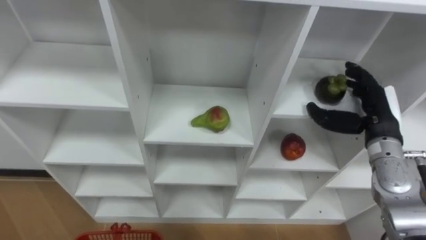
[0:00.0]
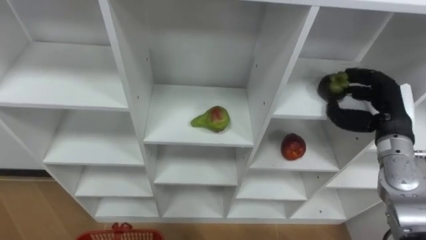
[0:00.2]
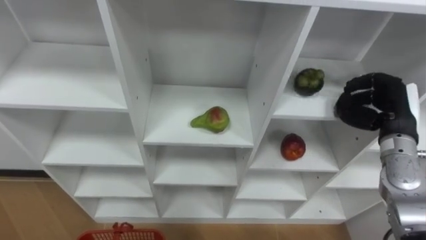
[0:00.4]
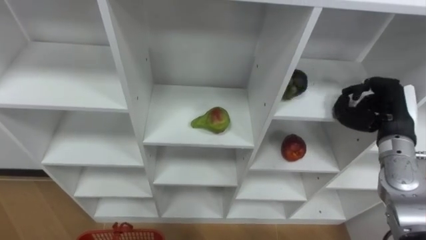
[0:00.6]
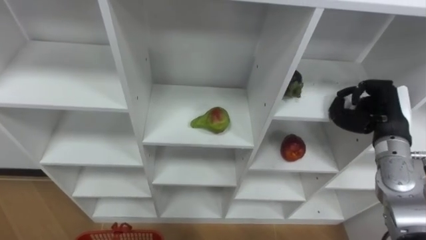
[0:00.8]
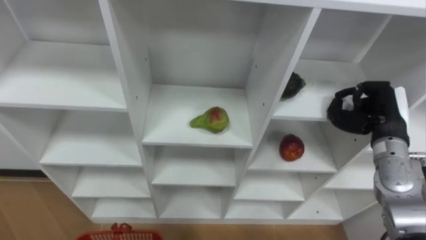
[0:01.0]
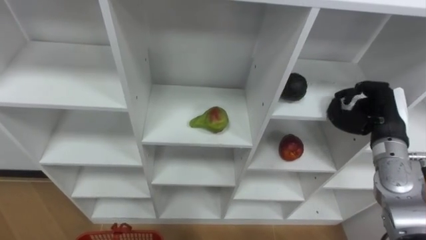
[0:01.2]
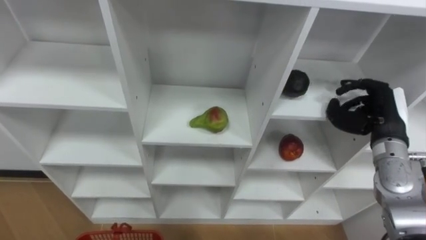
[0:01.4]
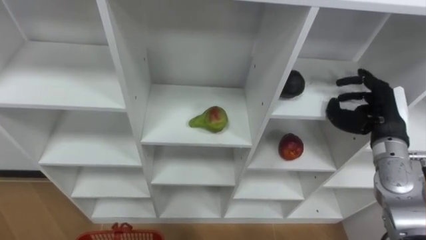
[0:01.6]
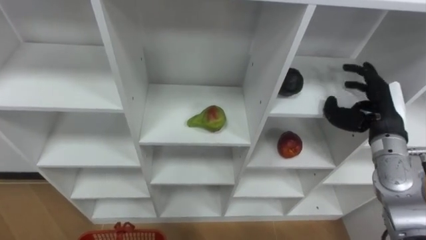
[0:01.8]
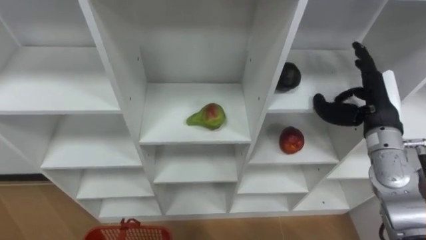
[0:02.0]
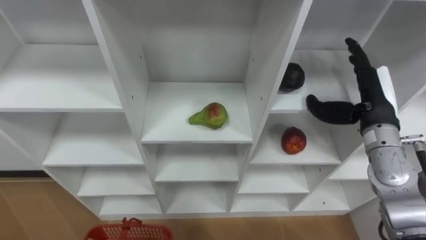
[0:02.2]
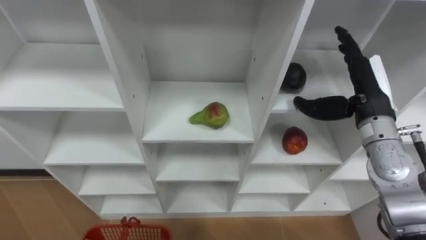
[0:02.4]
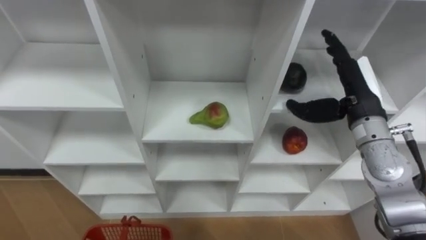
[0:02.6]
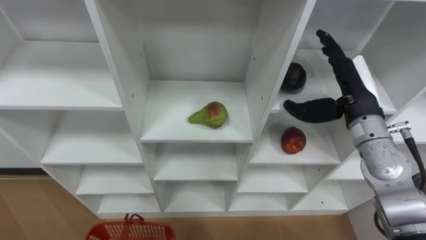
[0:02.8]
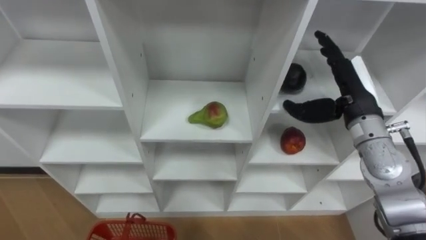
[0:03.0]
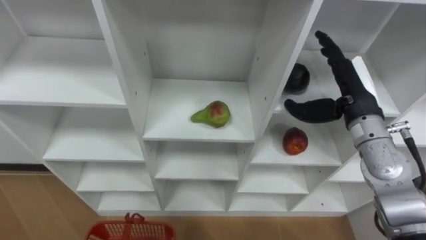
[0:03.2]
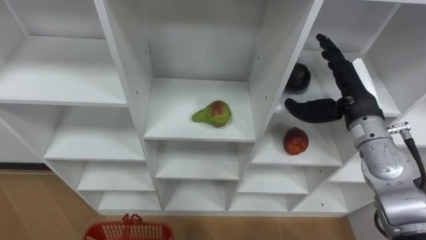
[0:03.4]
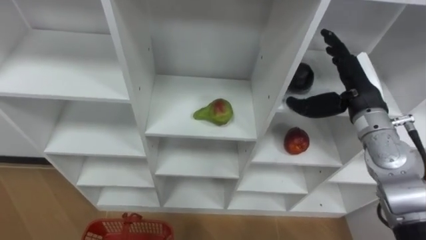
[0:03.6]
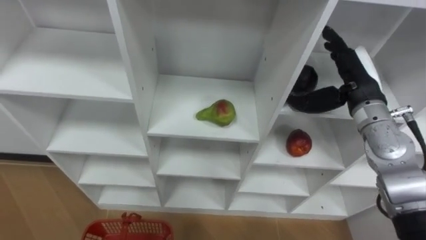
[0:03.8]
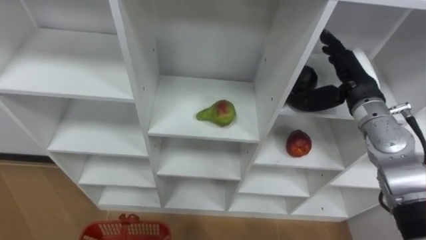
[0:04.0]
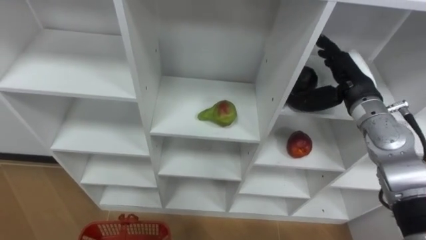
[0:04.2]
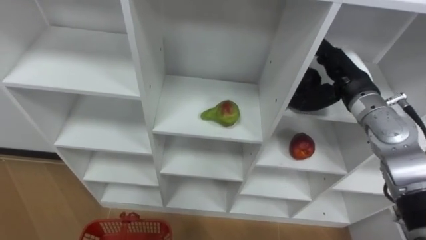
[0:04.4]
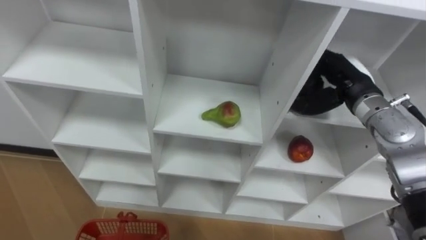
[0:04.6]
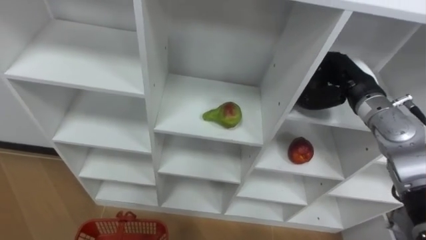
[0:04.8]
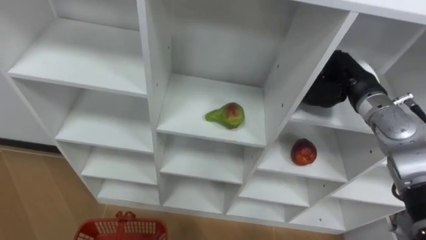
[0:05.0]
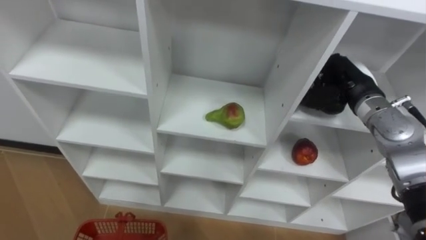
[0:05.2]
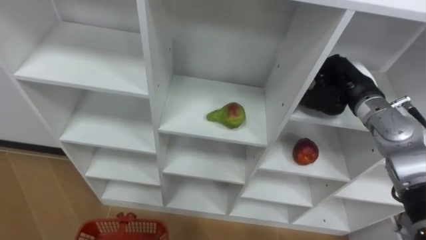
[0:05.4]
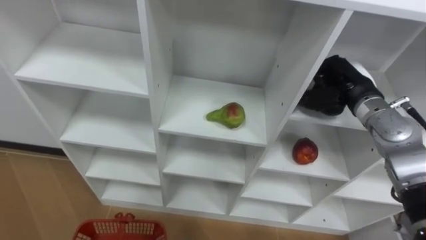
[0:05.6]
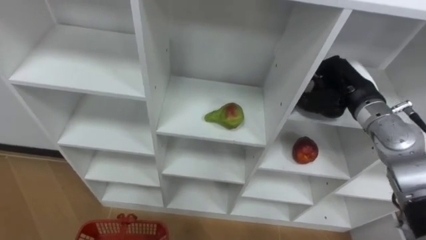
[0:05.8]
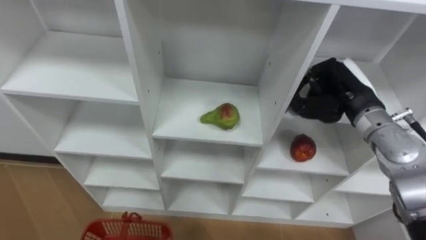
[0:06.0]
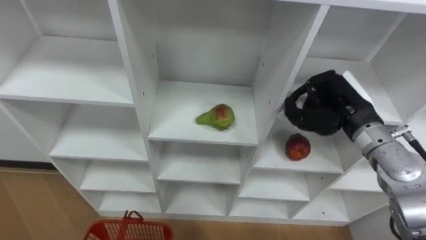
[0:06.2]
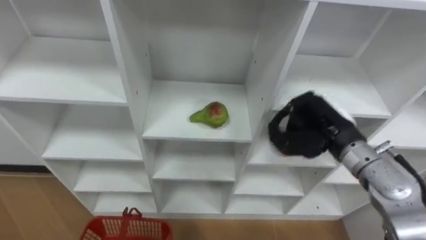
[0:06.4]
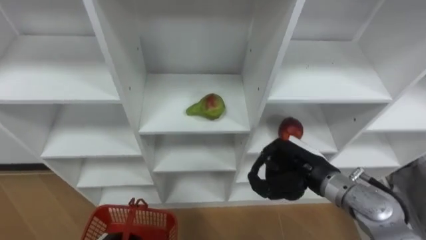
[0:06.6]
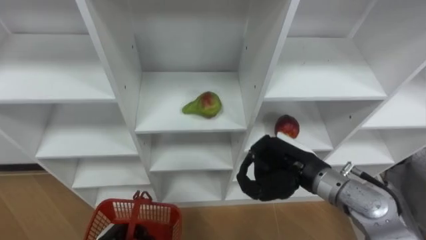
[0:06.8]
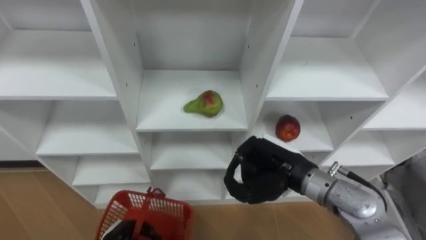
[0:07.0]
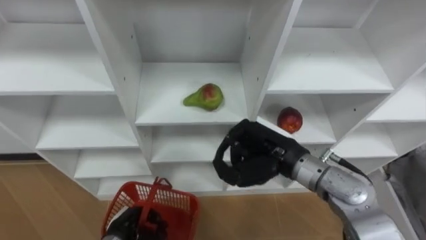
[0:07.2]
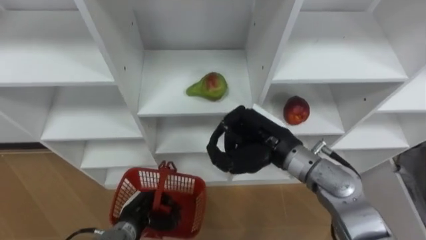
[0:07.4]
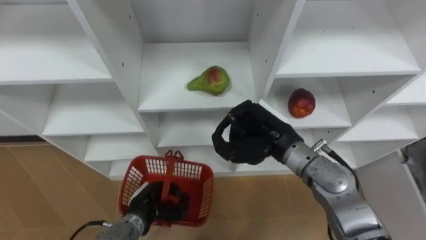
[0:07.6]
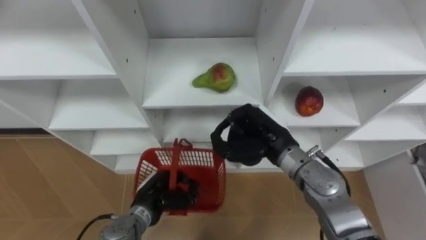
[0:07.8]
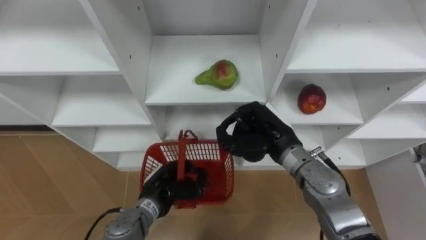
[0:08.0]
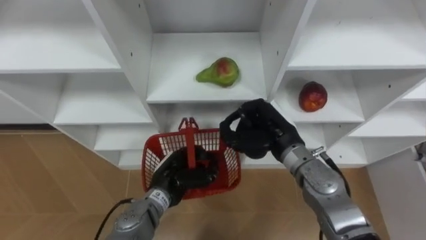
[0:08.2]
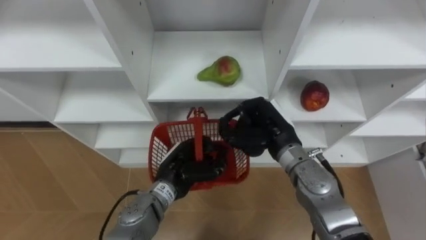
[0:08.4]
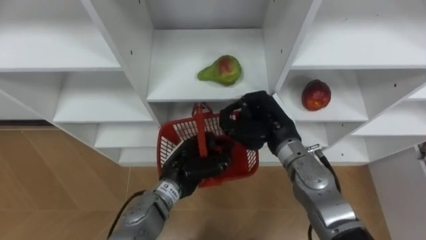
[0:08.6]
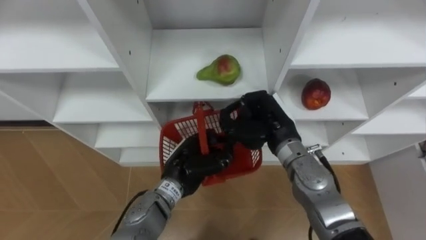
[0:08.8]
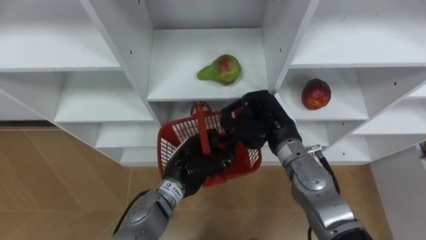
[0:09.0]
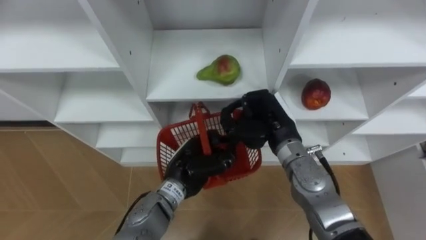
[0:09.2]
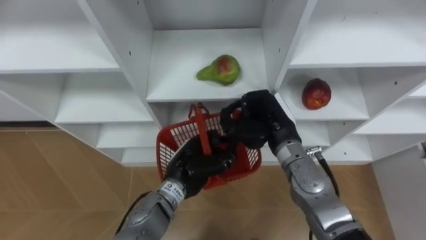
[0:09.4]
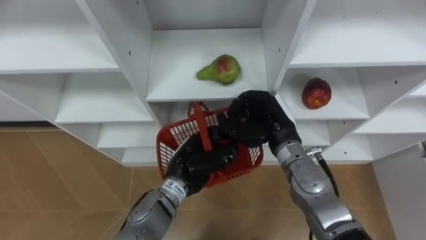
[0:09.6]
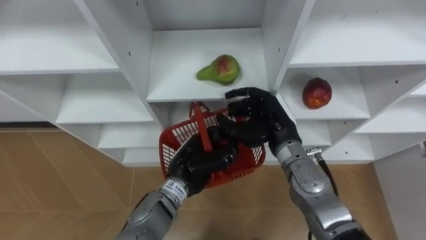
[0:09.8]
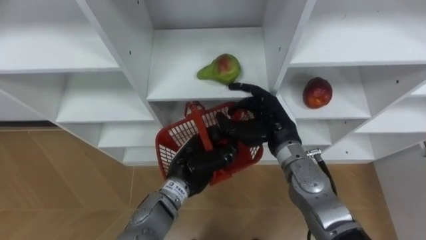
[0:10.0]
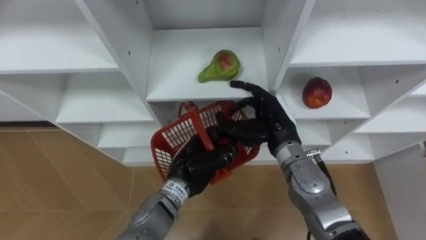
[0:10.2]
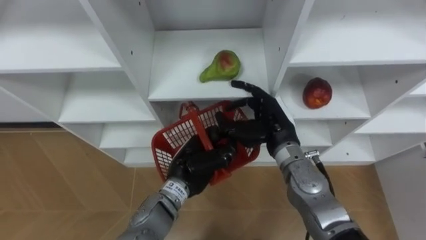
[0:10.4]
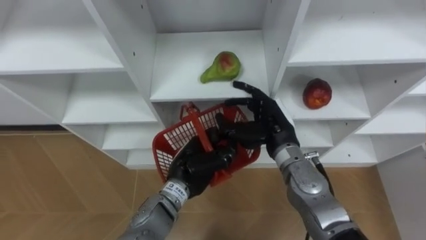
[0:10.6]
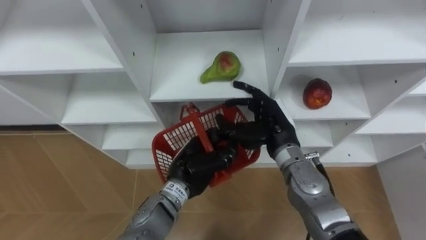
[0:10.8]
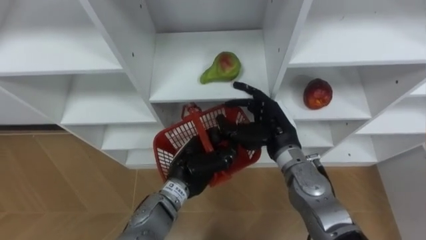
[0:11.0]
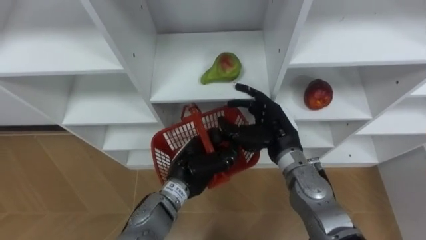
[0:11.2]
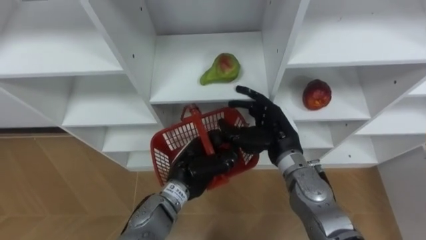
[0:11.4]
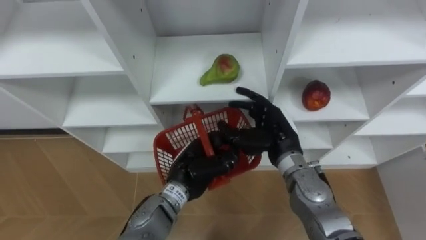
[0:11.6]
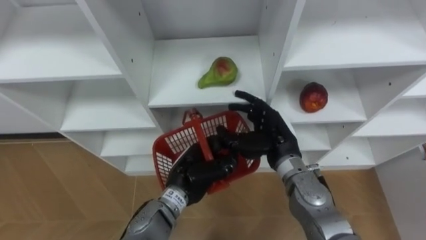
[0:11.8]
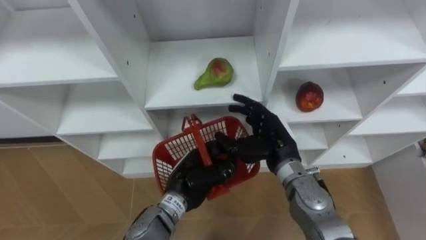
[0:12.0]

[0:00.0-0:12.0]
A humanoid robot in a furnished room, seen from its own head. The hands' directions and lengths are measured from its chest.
Task of the whole recording: Hold the basket and collect the fruits from 3 different cells of the closet into it.
0.0 to 1.6 s: The right hand closes and opens again.
1.6 to 3.0 s: The right hand travels to the left and upward by about 10 cm.
4.4 to 6.0 s: The right hand closes.
6.0 to 7.6 s: The right hand moves to the left, about 15 cm.
7.6 to 9.0 s: The left hand travels upward, to the right and forward by roughly 15 cm.
9.0 to 10.4 s: The right hand opens up.

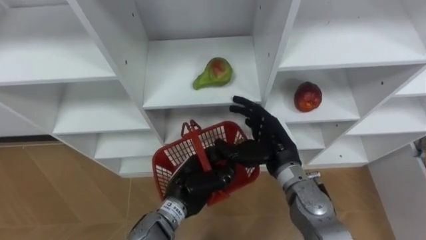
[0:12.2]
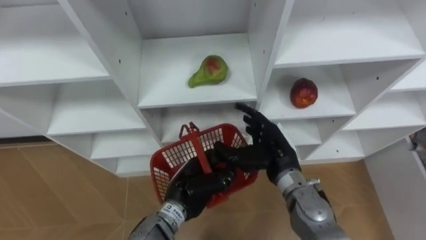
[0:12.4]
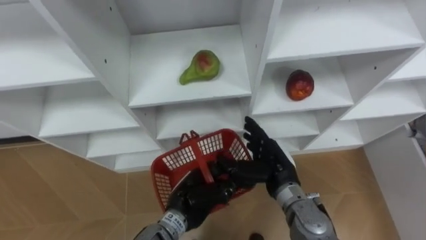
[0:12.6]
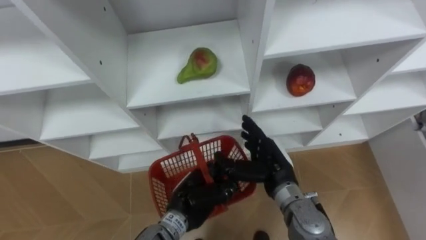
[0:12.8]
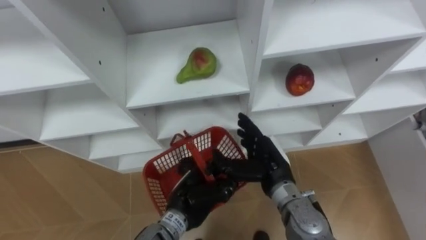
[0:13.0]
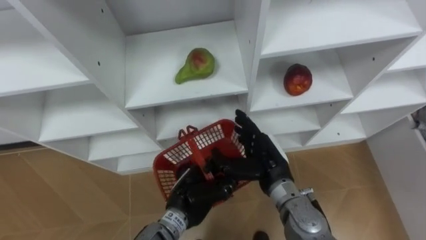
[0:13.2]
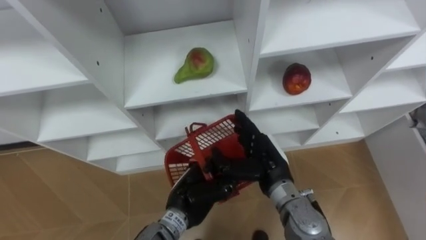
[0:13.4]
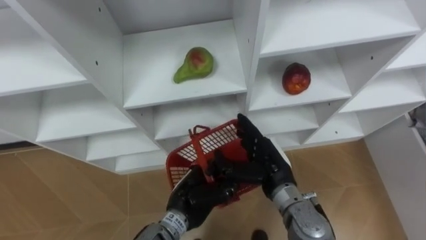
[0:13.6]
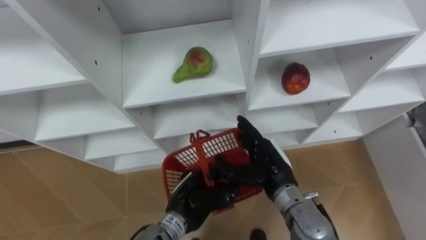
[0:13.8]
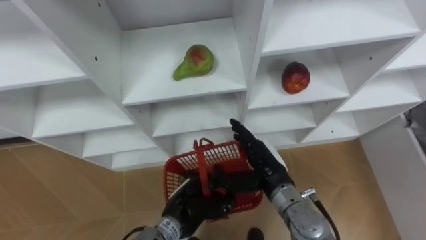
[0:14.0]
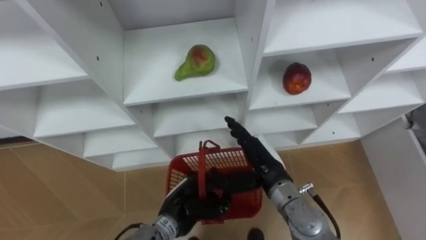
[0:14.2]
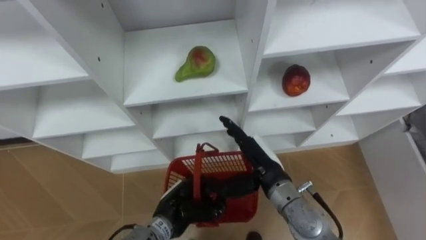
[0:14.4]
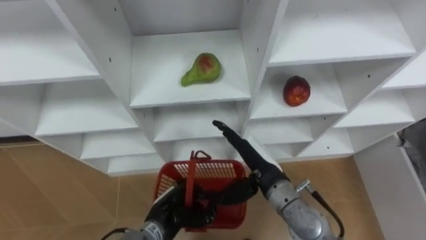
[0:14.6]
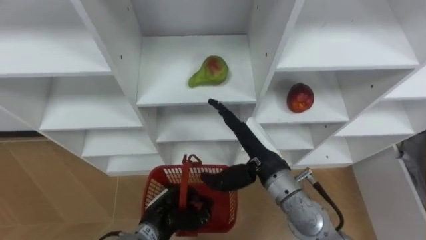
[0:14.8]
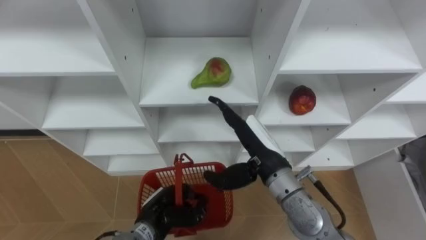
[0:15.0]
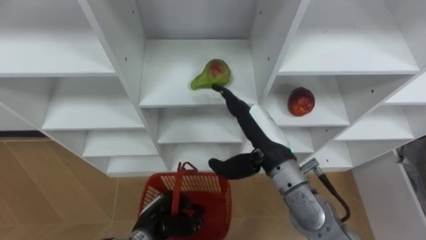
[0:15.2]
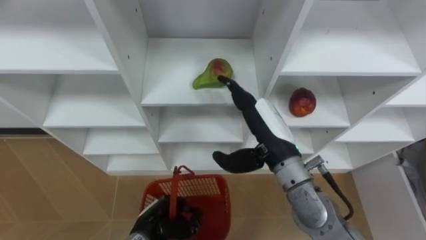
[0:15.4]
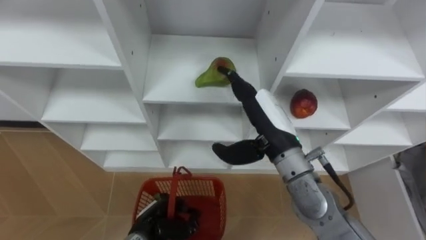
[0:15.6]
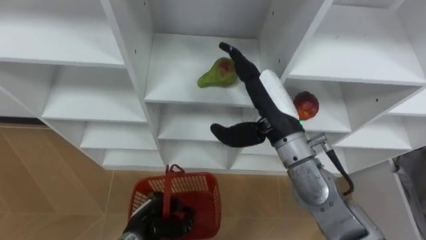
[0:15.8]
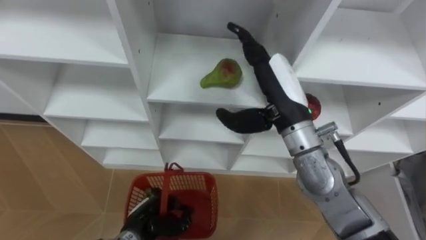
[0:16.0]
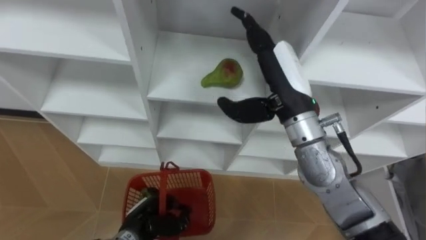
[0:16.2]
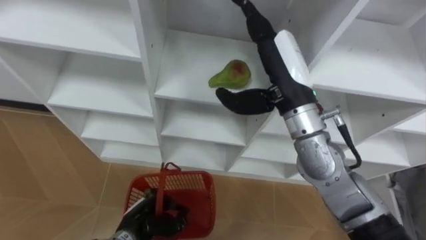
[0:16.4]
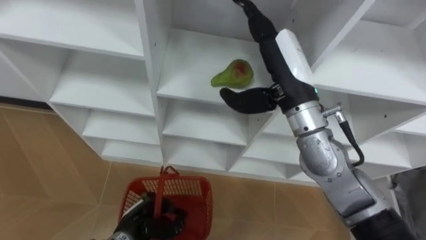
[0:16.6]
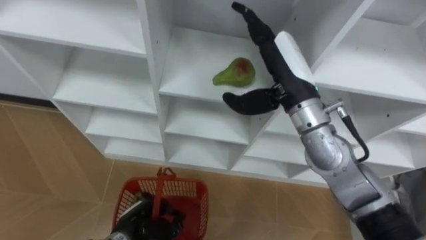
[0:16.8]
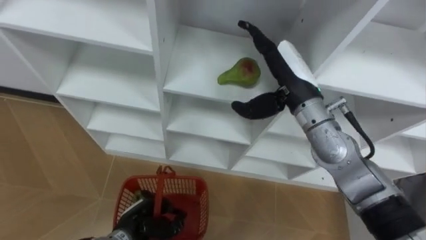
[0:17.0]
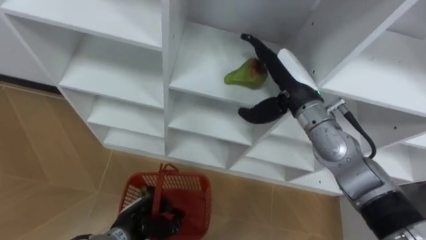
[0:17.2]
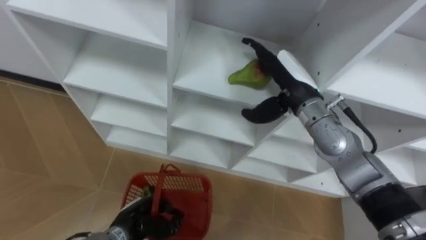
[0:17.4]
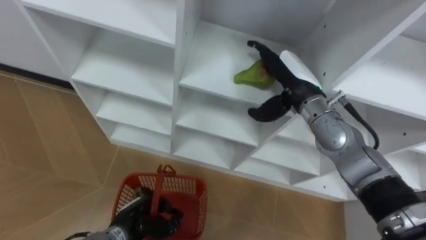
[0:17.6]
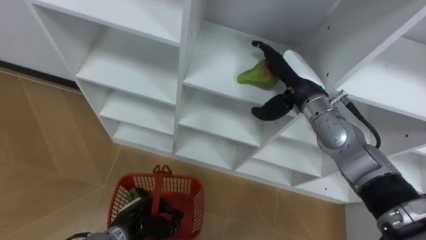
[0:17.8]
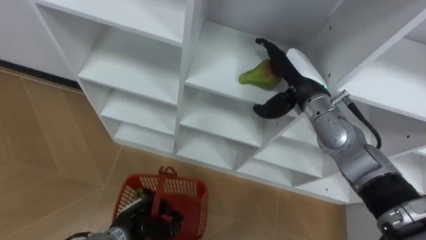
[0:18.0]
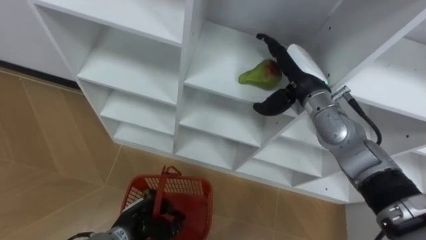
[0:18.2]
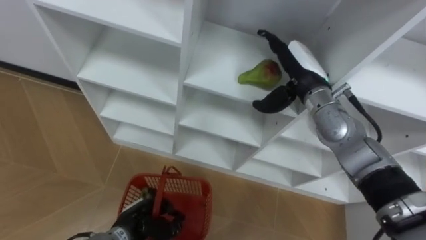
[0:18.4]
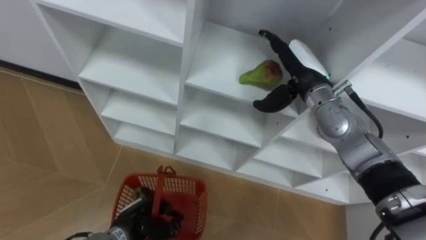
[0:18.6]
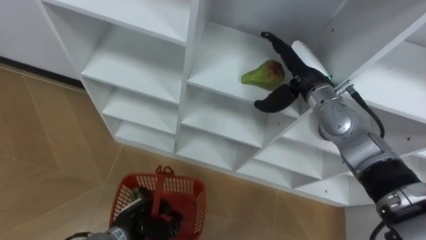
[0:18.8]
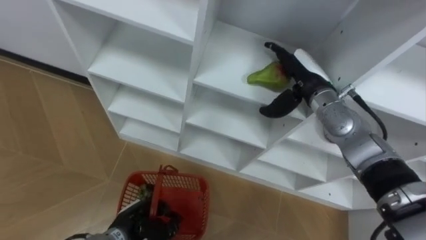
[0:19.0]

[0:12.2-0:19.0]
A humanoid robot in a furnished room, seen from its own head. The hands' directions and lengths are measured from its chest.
Task of the whole recording: Hold the basket and collect the fruits from 3 different cells of the closet into it.
13.6 to 15.0 s: The left hand heads to the left and downward, covering roughly 10 cm; the right hand moves upward, approximately 5 cm.
15.0 to 16.2 s: The right hand heads upward, covering roughly 10 cm.
16.2 to 17.6 s: The right hand shifts some 10 cm forward and downward.
